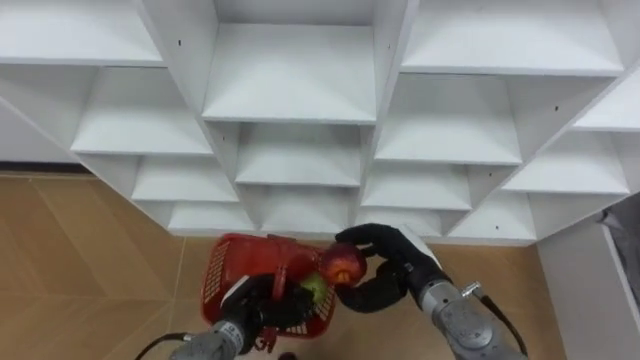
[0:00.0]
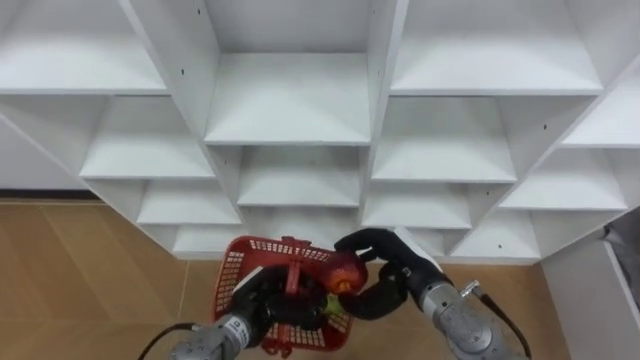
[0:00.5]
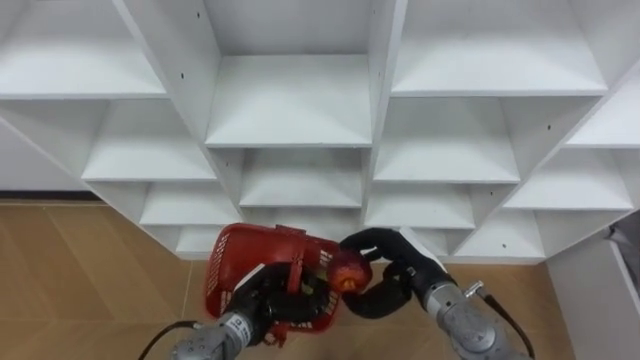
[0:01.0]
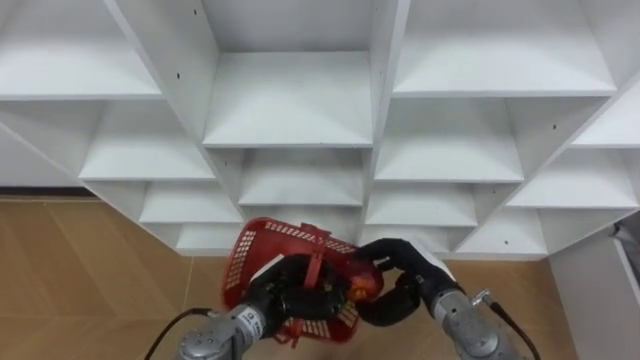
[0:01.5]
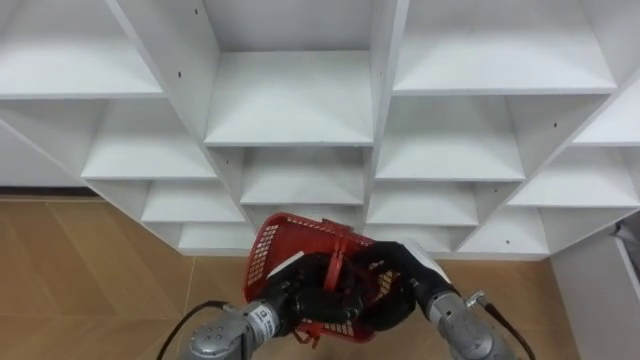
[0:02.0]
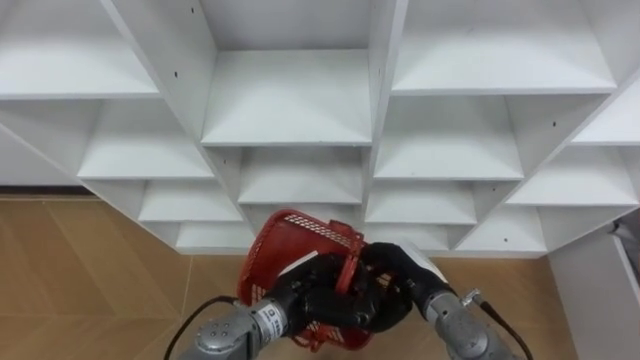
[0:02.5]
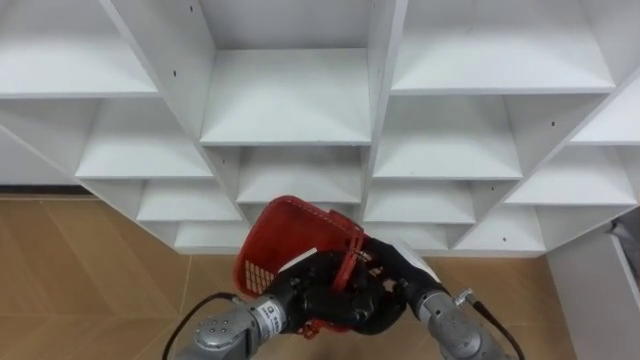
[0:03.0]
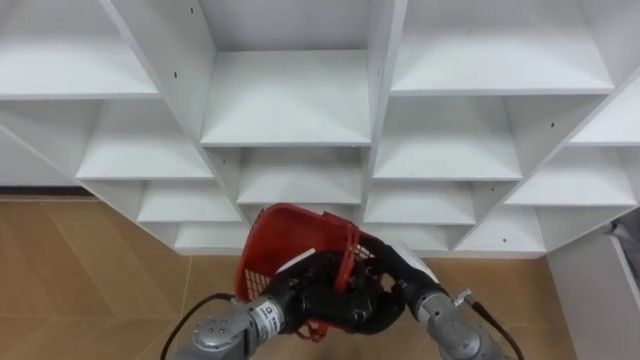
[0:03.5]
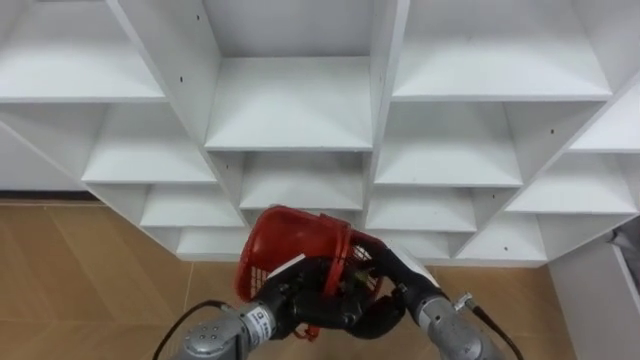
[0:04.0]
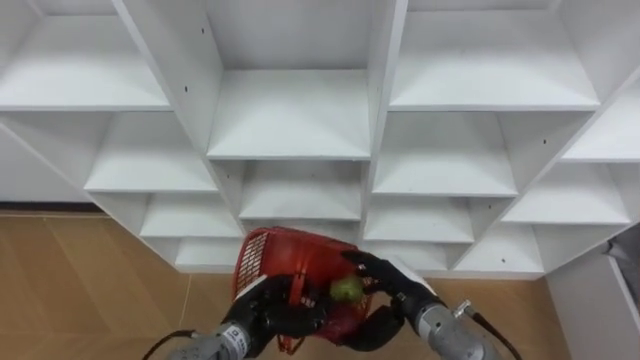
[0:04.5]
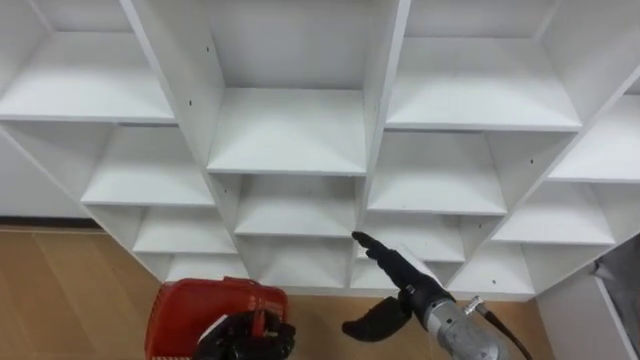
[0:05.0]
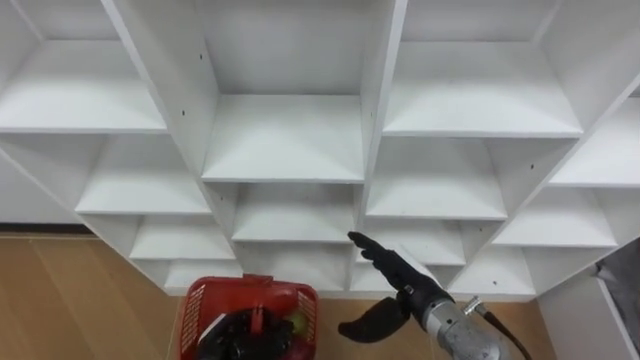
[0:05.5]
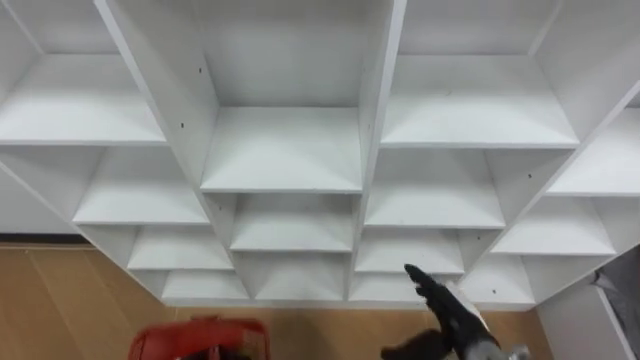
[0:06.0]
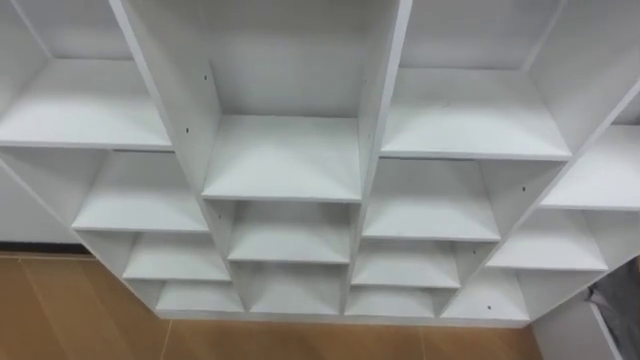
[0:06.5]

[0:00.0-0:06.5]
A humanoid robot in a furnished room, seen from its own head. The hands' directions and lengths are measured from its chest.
Task of the whole recording: Hold the basket and collect the fruits from 3 different cells of the closet into it.
0:00.0 to 0:02.0: The left hand is displaced to the right and upward by approximately 10 cm.
0:02.0 to 0:04.5: The right hand opens up. The left hand shifts by about 5 cm.

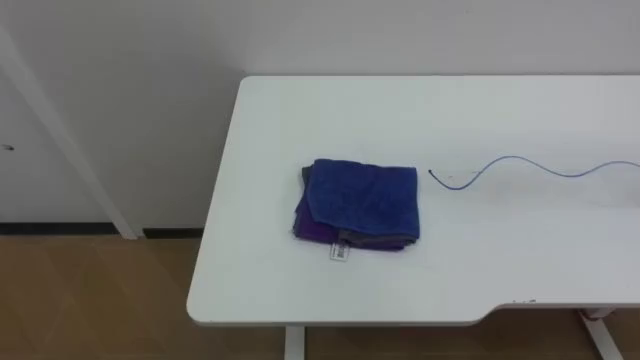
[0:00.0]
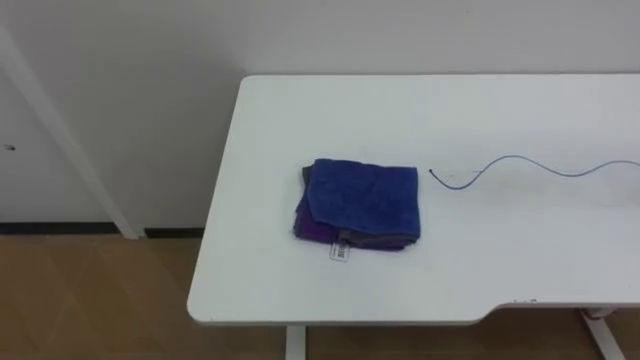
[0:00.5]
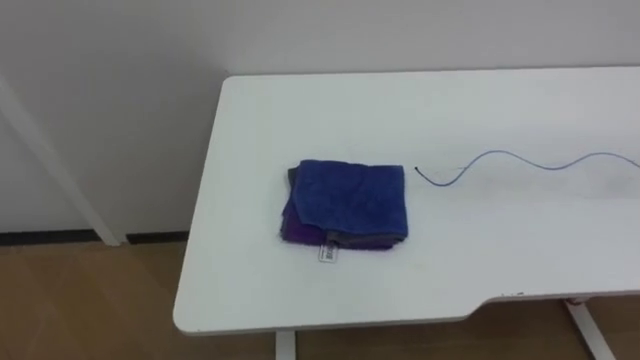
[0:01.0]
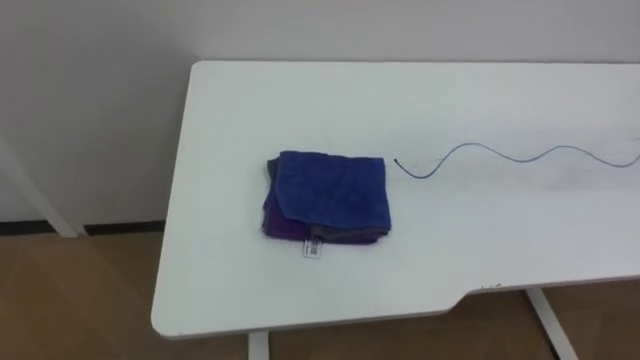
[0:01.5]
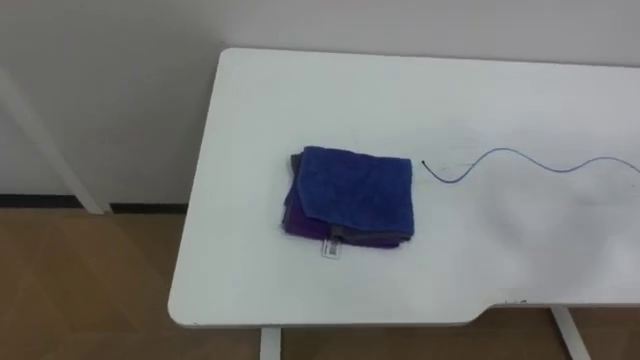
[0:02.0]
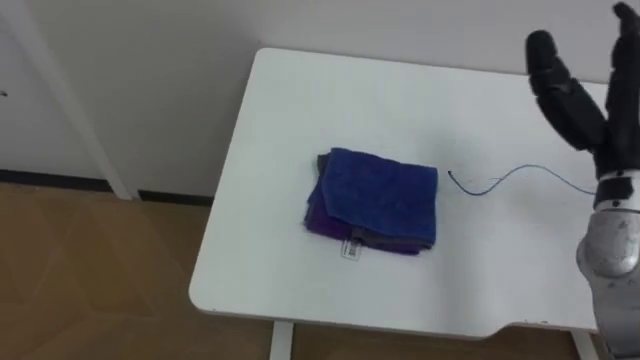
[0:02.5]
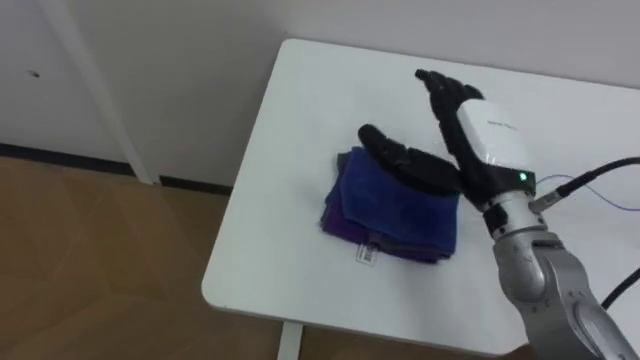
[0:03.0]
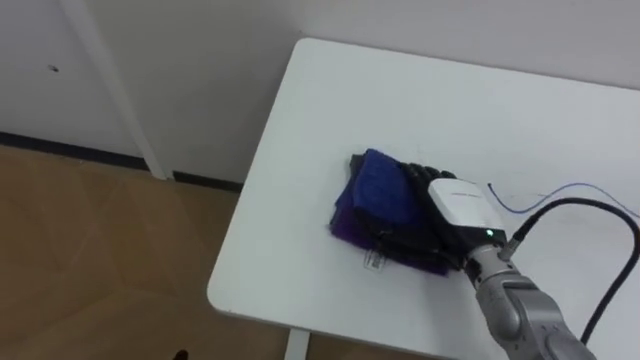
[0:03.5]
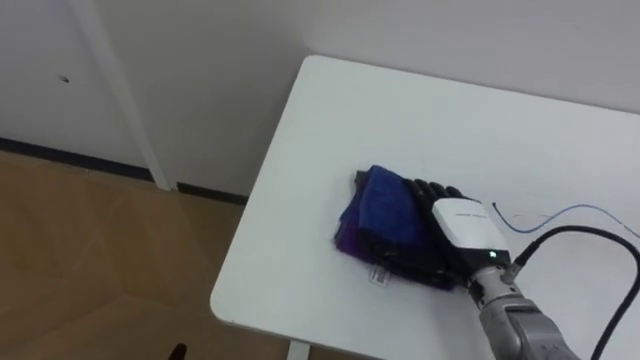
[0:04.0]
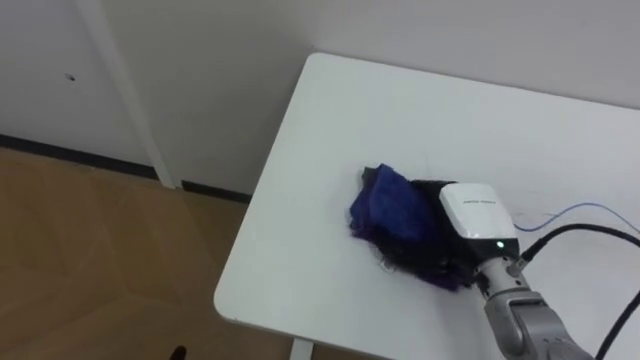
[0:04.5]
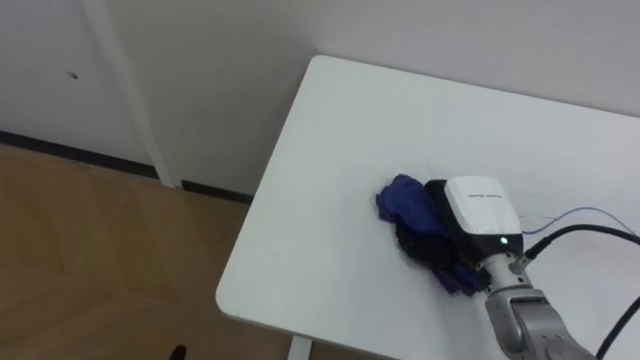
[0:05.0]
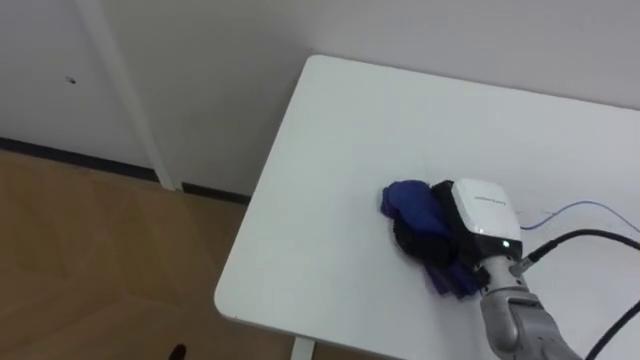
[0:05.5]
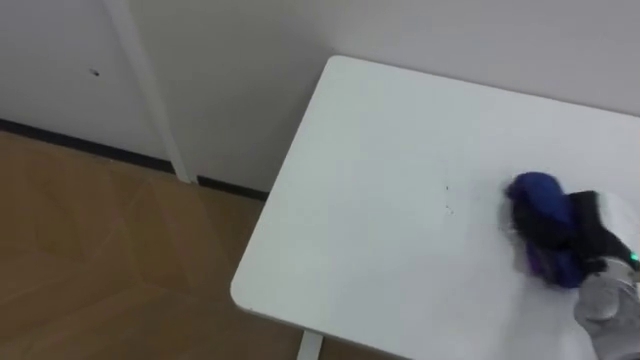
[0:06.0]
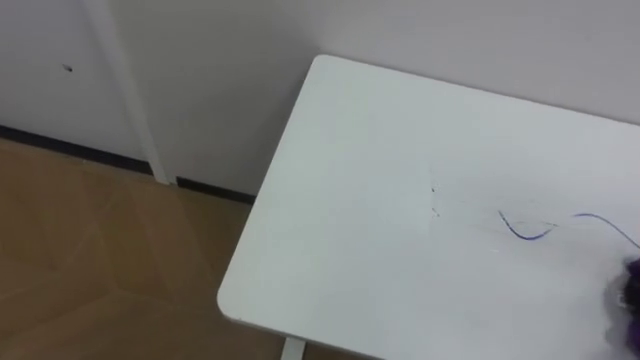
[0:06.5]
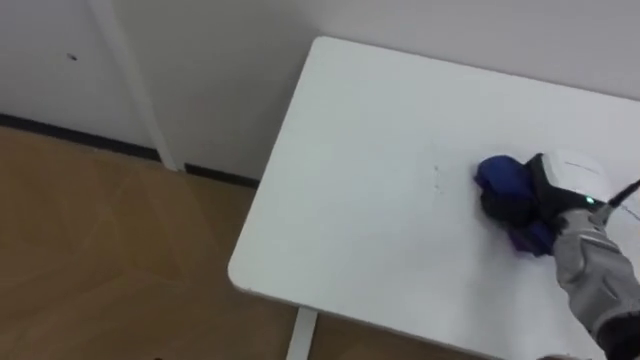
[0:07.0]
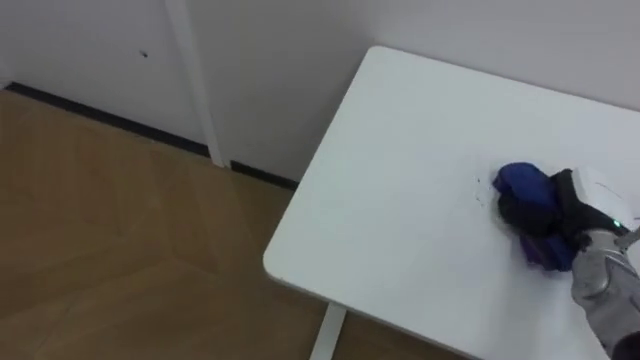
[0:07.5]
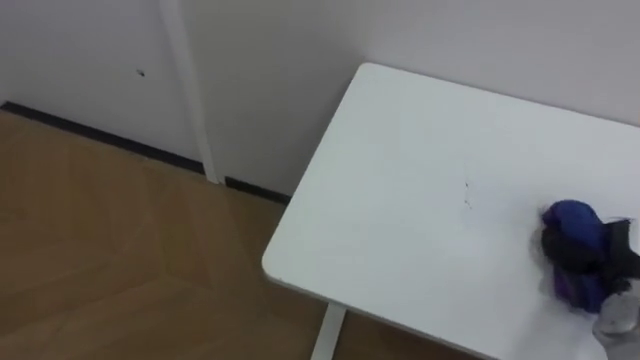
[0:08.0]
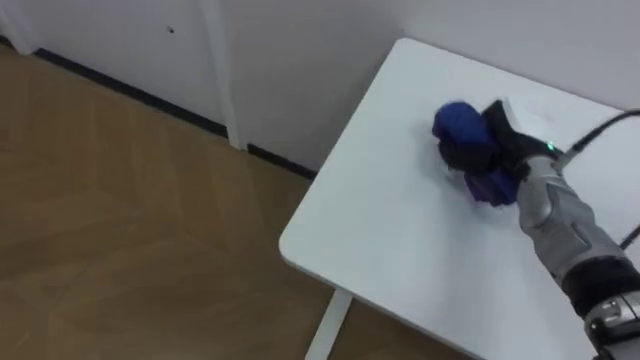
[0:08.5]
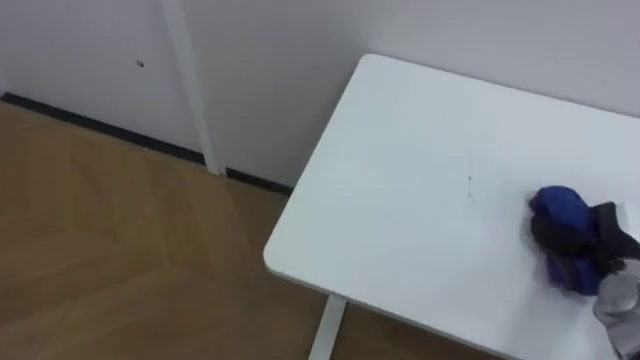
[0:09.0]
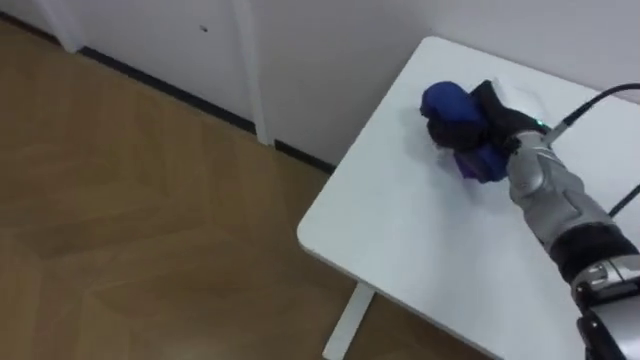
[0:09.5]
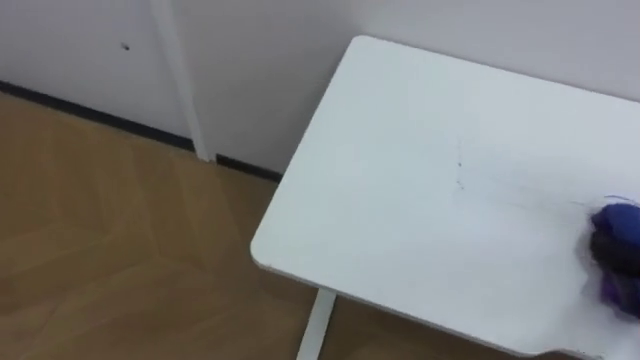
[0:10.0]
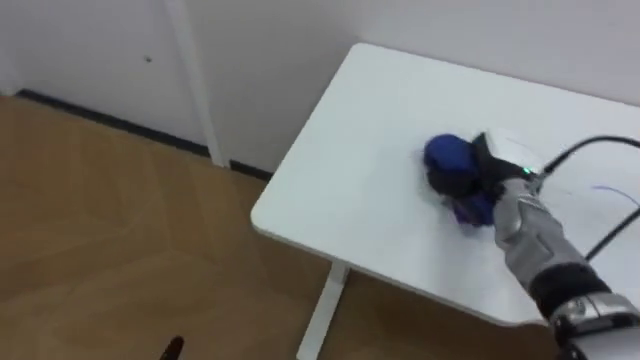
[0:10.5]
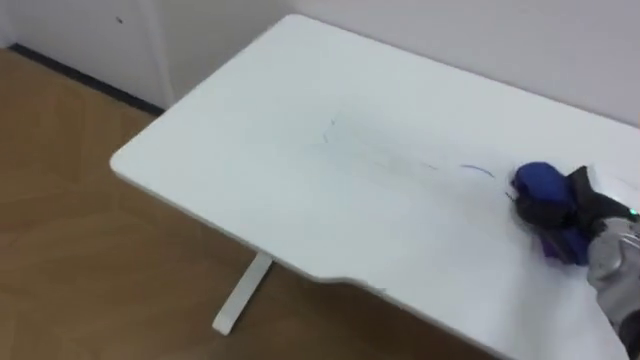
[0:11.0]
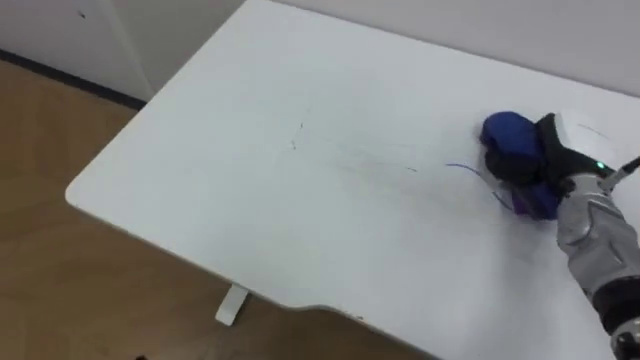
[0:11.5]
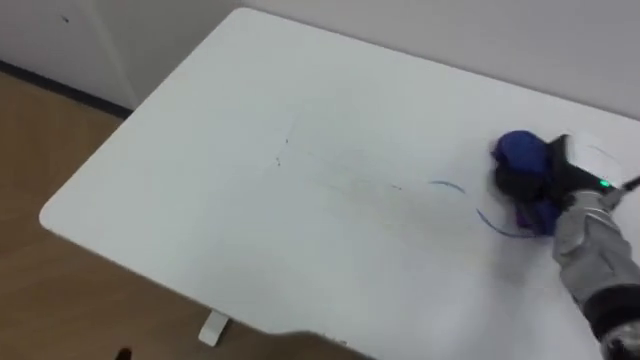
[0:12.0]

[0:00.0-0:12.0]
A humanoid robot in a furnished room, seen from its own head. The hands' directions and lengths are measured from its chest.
Task of the whole recording: Wipe the blue pen marks off the table with the rag.
0:04.0 to 0:06.0: The right hand travels to the right by approximately 15 cm, and closes its fingers.

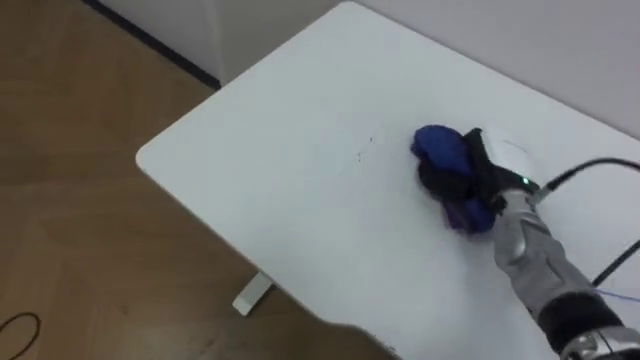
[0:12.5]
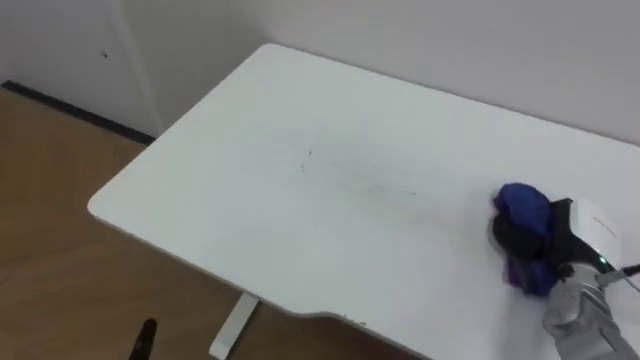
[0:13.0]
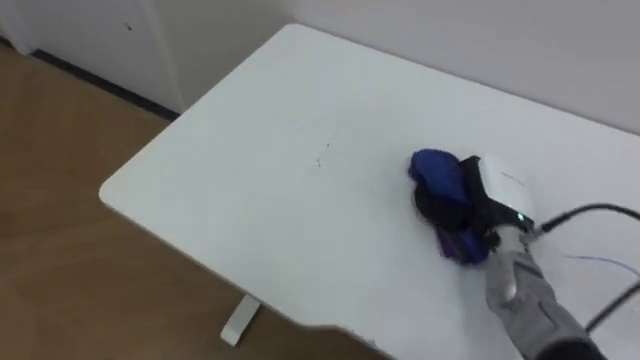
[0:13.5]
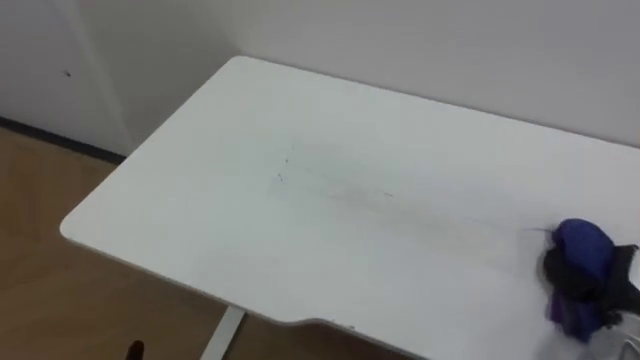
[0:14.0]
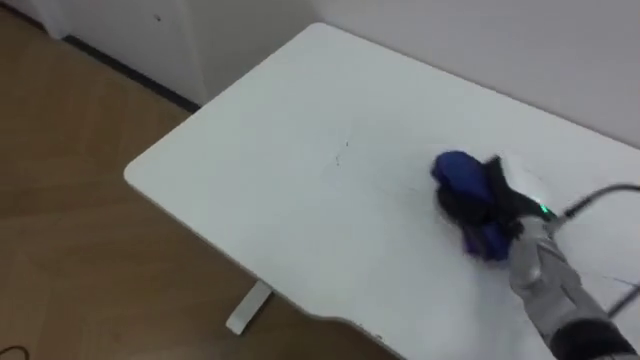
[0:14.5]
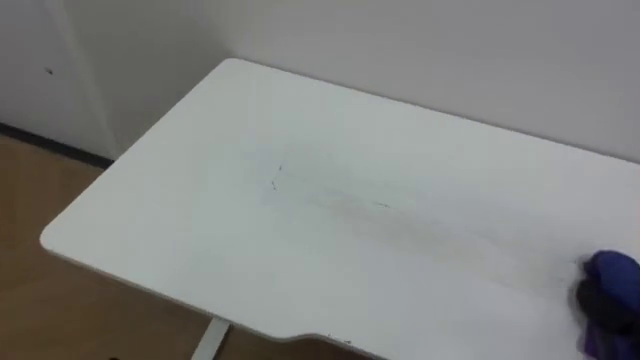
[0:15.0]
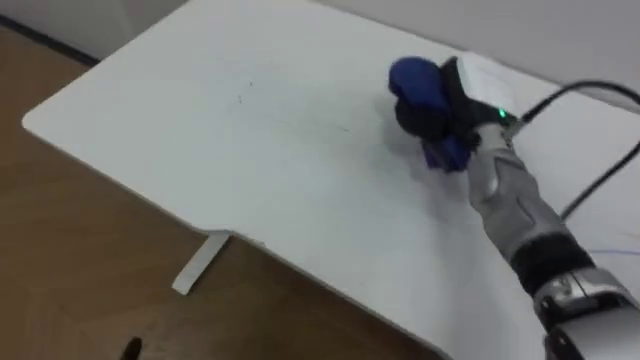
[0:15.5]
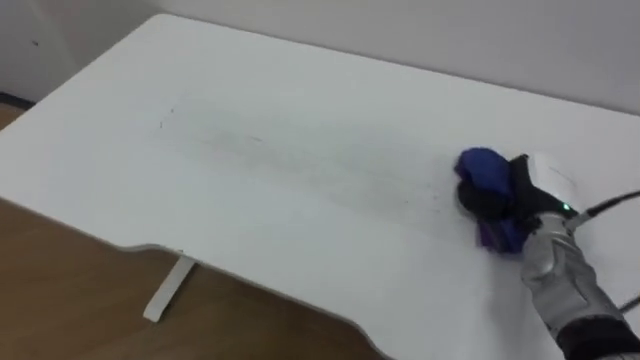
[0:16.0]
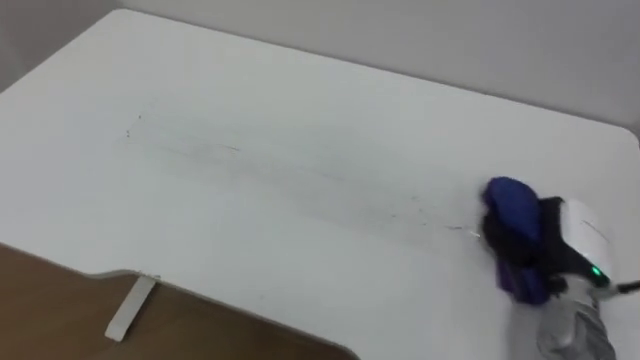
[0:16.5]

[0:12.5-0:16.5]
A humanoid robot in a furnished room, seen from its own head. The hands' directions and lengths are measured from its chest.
Task of the whole recording: Wipe the blue pen marks off the table with the rag.
0:12.5 to 0:14.5: The right hand goes forward and backward, approximately 15 cm each way, reversing 3 times.
